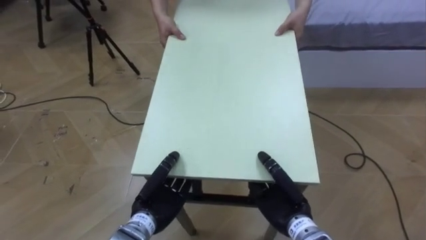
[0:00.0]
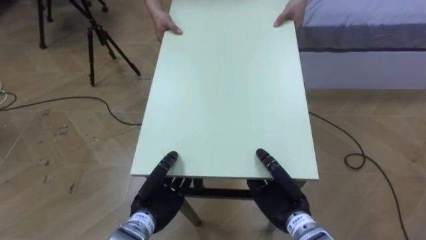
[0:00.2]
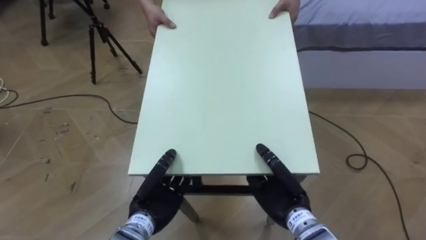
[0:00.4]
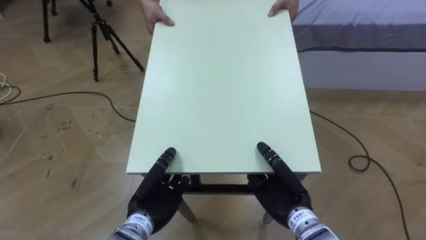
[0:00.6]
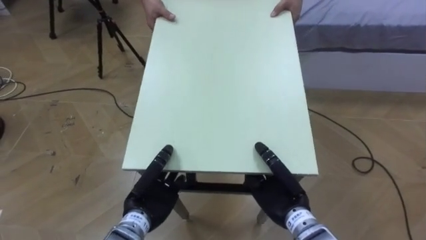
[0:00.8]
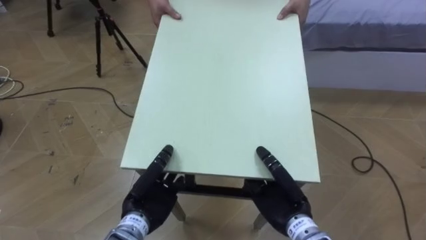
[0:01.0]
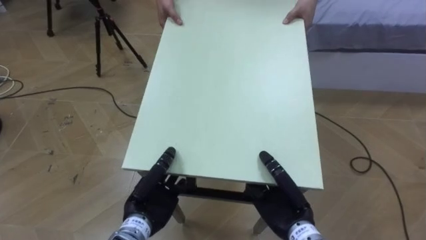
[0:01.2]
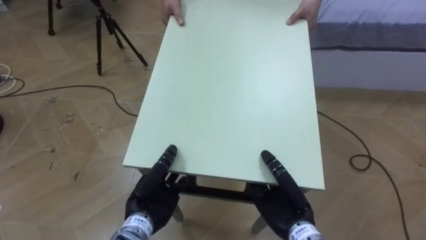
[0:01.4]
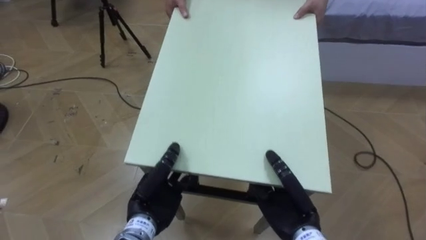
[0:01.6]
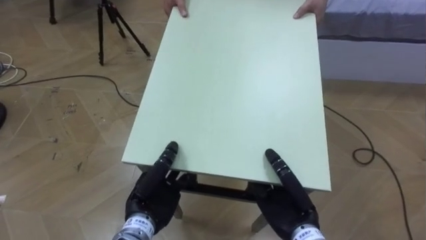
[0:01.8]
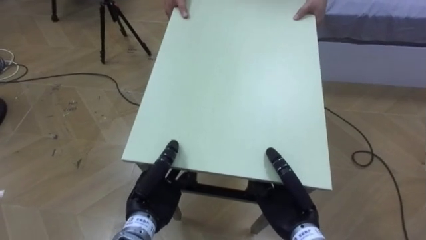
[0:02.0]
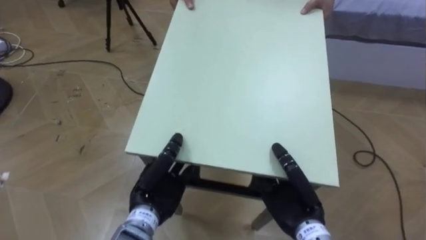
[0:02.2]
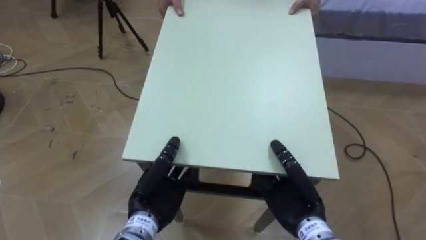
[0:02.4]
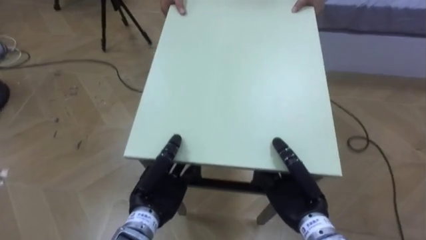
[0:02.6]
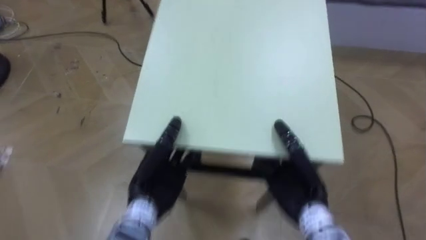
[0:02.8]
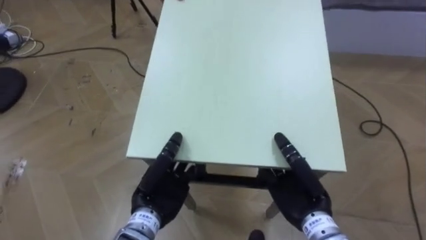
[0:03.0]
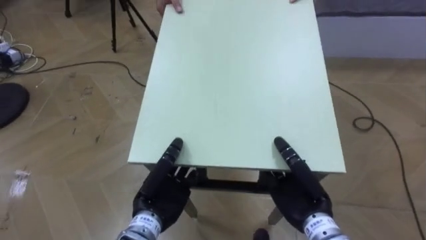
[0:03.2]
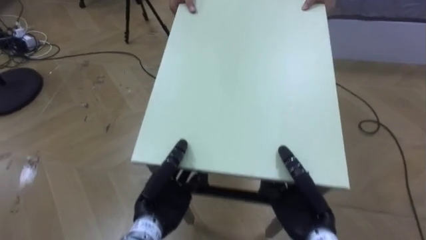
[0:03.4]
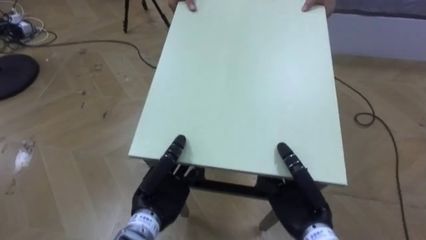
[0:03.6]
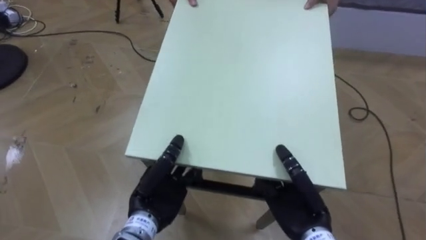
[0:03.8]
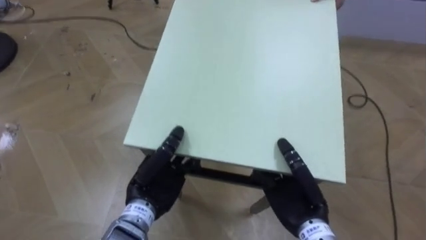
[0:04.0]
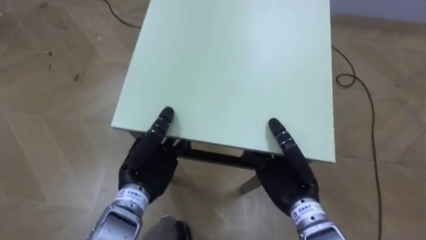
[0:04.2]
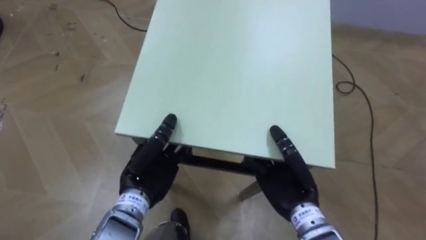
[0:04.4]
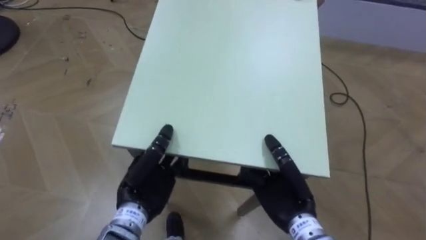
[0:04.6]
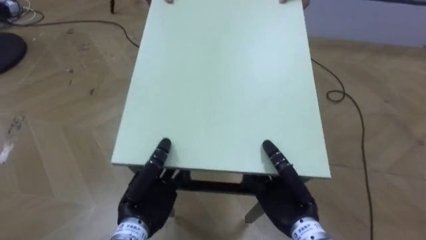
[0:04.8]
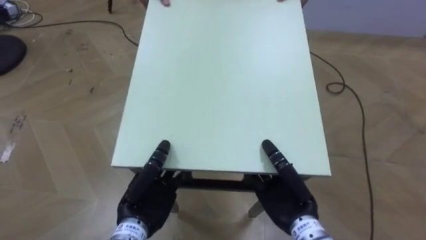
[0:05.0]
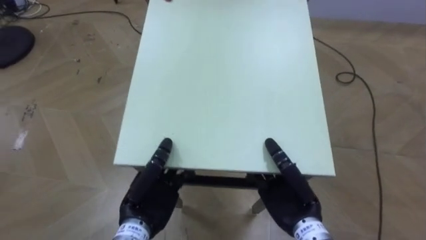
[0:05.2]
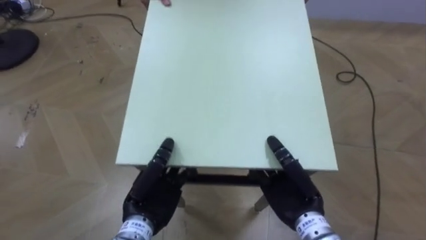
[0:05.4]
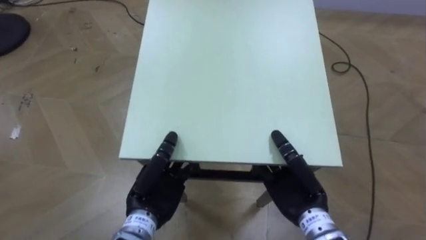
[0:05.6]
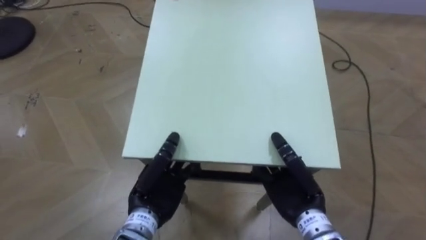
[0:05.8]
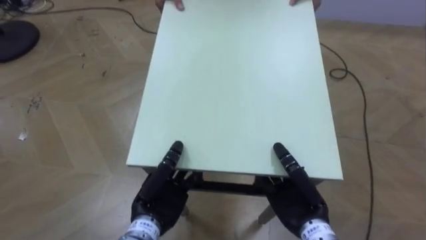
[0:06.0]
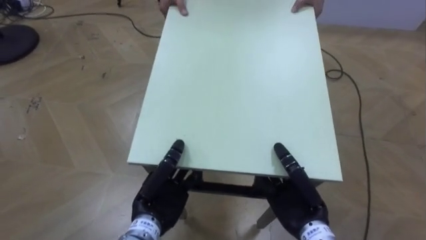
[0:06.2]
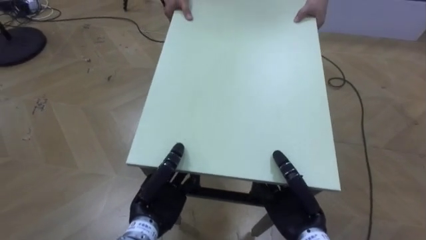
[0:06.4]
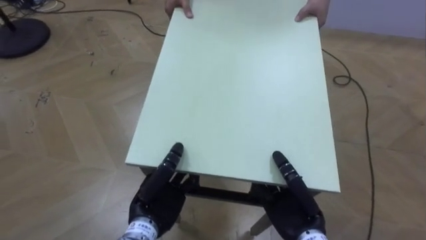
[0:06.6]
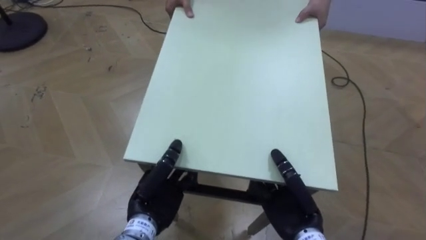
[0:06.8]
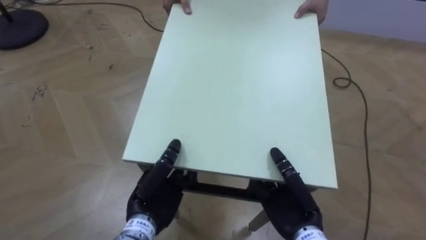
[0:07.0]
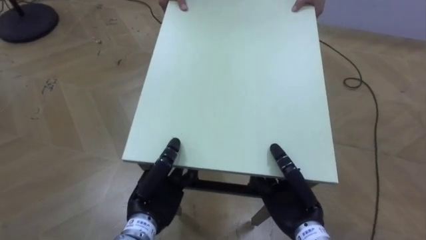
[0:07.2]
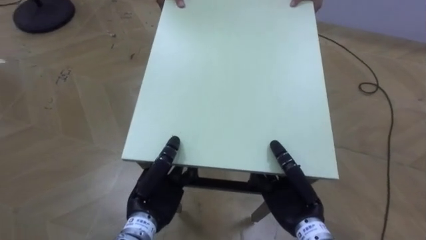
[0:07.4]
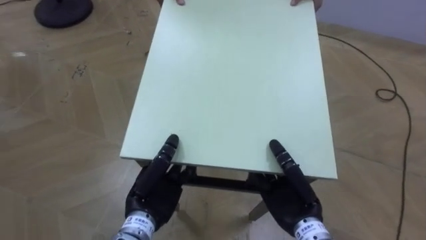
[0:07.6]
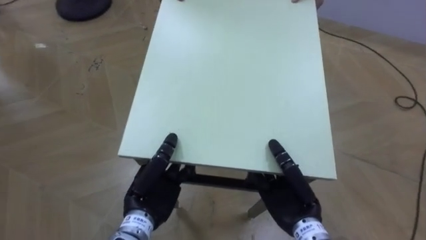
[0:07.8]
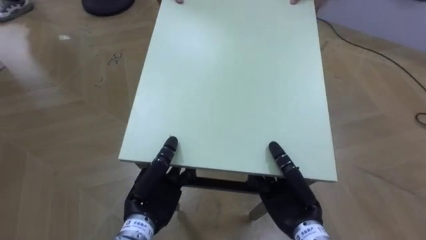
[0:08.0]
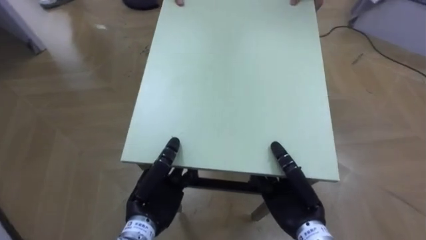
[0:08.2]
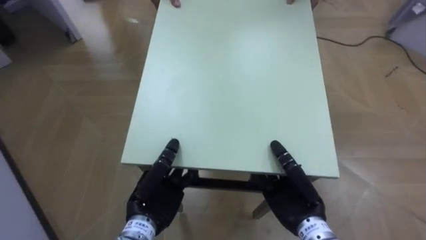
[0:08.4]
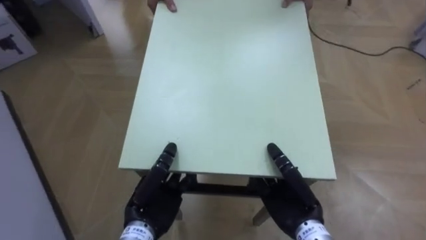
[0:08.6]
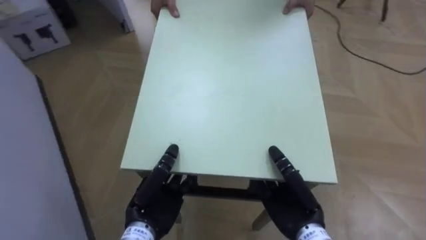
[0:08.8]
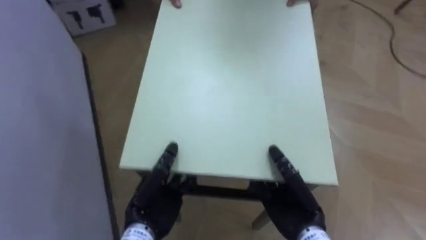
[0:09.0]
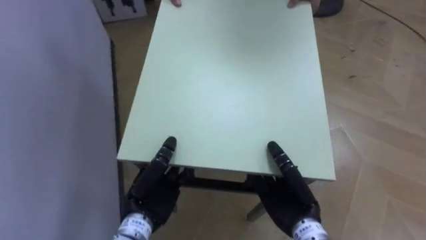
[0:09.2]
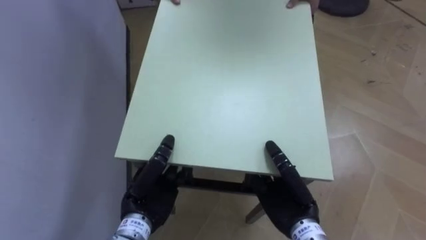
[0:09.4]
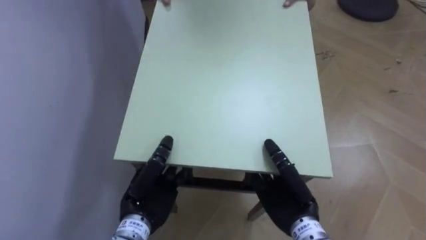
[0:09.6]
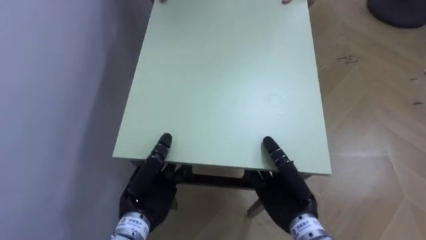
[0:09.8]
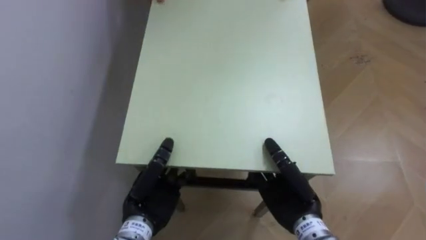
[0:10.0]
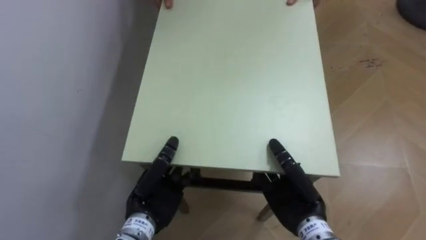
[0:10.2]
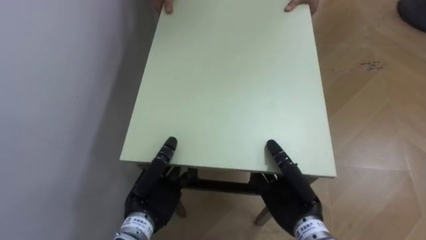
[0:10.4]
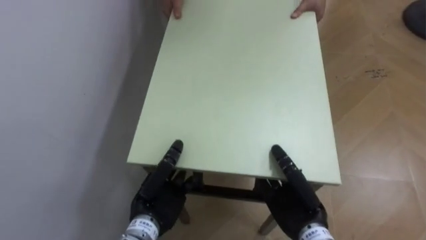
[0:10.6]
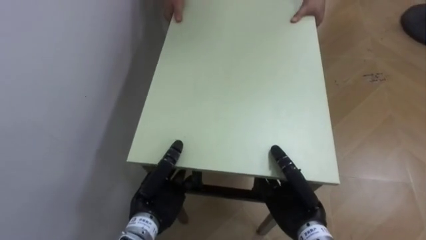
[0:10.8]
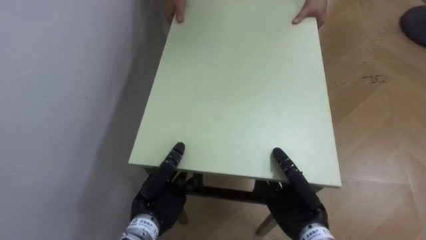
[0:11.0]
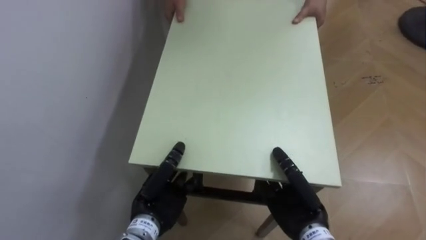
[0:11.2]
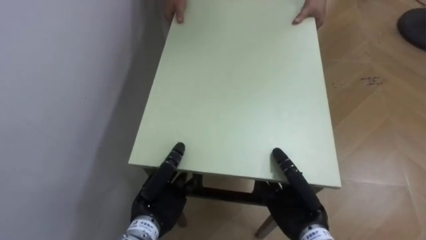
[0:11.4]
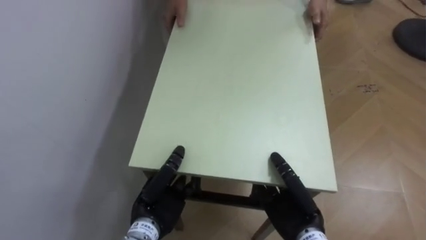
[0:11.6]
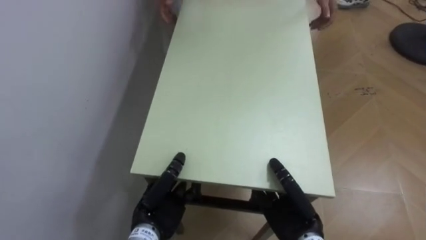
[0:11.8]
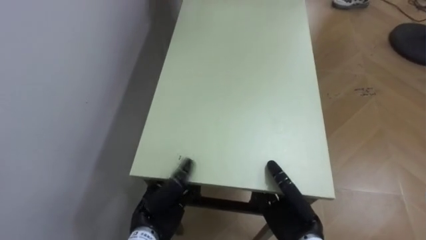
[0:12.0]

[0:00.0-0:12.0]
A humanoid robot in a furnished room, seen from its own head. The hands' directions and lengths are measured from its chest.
Task of the whole recording: Move the table to the back left with someone.
4.4 to 6.0 s: The left hand shifts by approximately 5 cm.
7.6 to 9.0 s: The robot's body swings about 50 degrees to its left.
9.0 to 10.4 s: The robot turns to its left by about 25 degrees.

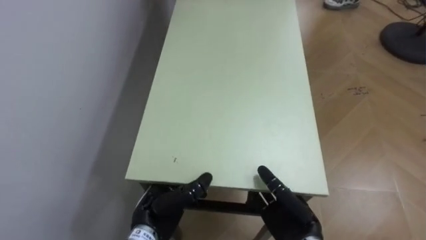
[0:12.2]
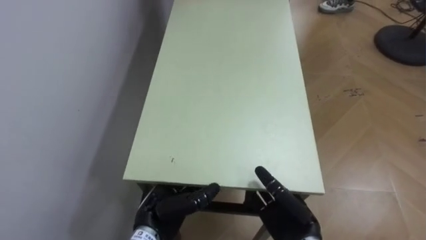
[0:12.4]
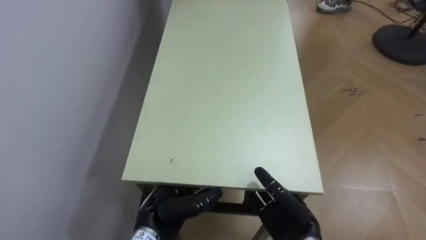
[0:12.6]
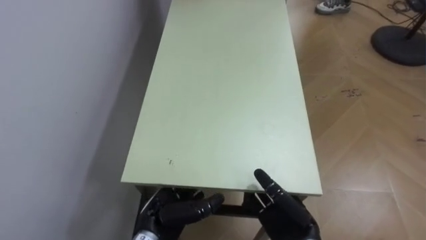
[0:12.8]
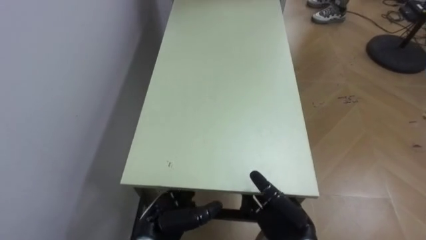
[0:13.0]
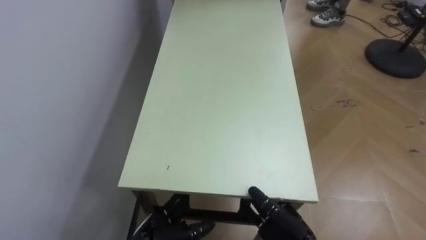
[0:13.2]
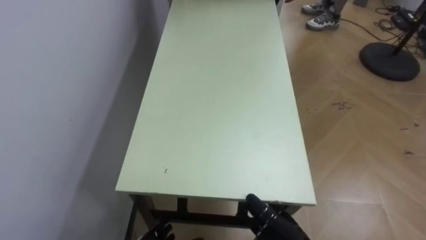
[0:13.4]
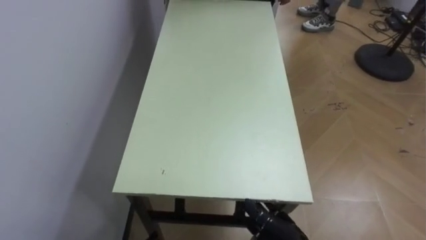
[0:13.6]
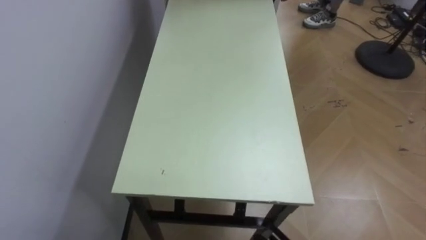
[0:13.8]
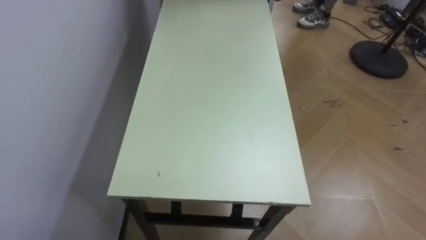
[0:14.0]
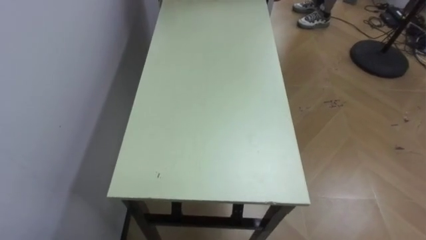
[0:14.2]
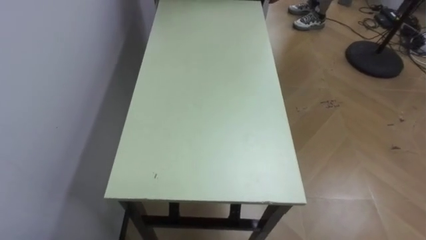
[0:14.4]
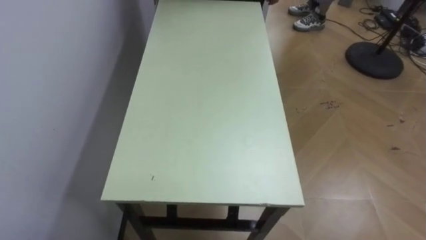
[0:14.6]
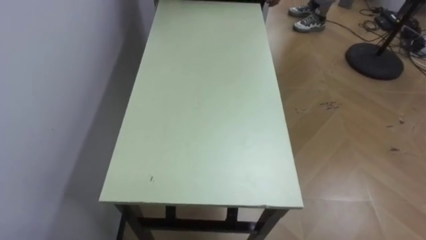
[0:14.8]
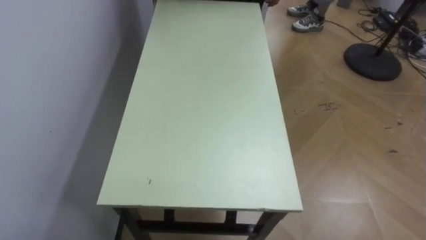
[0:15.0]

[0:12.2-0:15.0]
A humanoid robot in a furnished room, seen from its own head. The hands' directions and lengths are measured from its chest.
Task of the whole recording: Move the table to the back left with someone.
12.2 to 13.6 s: The right hand heads downward, covering roughly 5 cm, and opens.

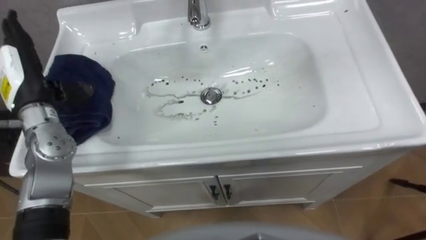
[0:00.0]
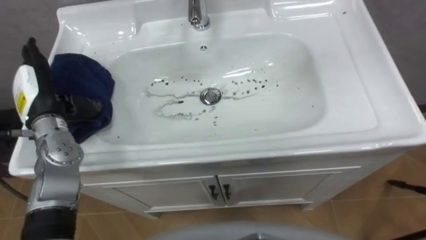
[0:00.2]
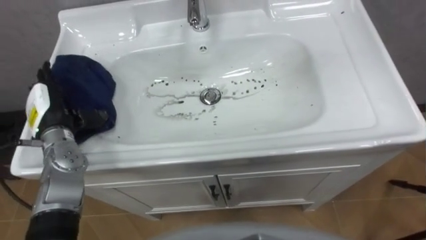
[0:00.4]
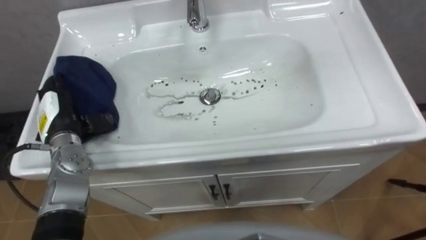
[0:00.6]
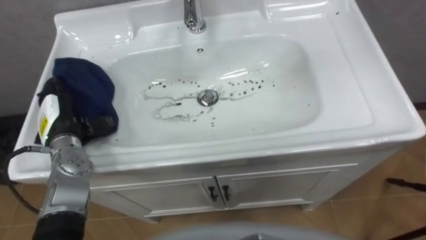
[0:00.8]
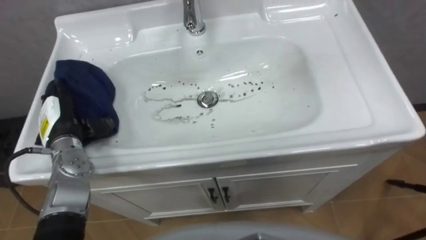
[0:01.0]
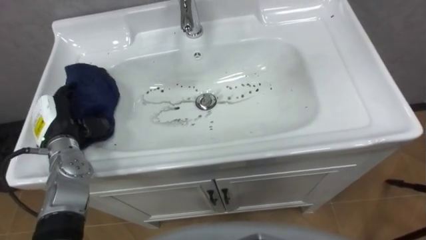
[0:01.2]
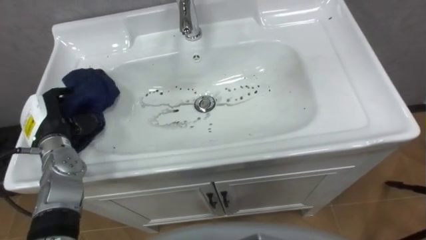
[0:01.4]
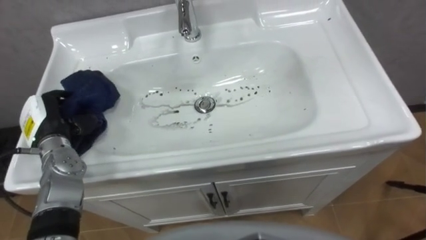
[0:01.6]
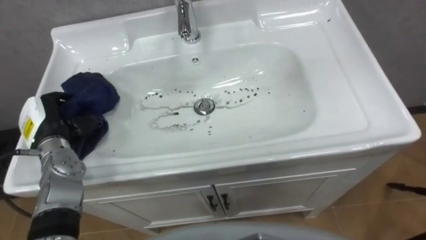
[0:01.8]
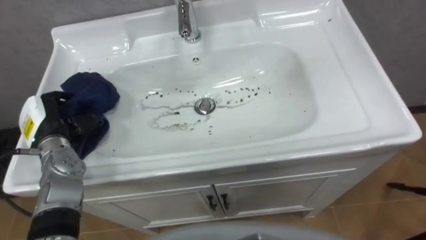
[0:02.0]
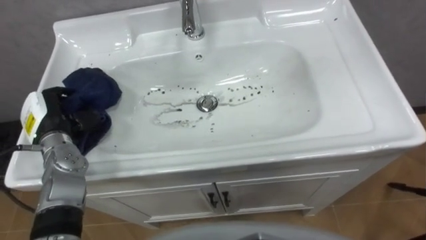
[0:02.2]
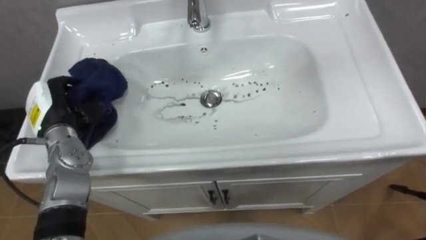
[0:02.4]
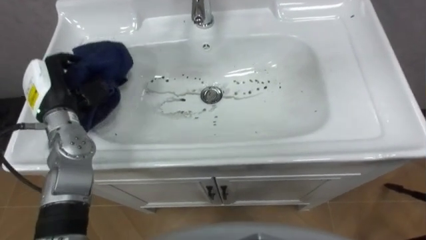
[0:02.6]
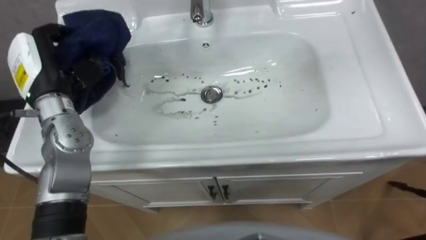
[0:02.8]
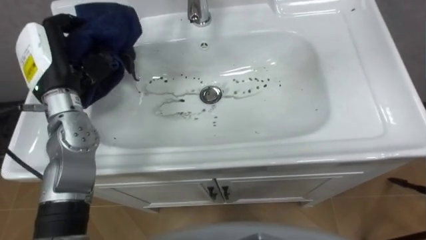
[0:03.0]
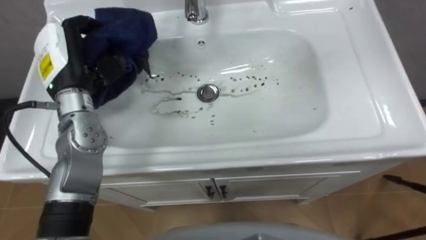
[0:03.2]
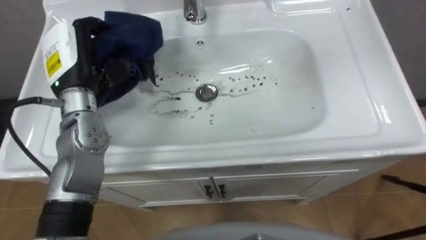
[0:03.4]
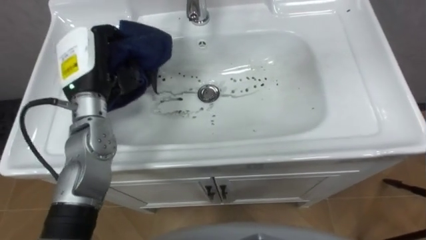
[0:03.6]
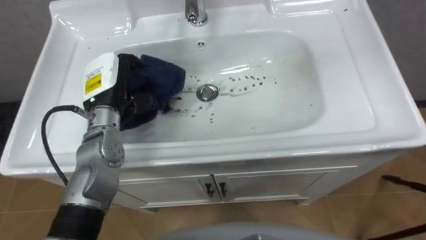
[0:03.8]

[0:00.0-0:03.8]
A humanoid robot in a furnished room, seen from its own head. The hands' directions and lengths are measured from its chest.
Task of the whole recording: Use the cloth on the right to wipe away the black stain in the sink.
0.0 to 1.2 s: The left hand heads downward, covering some 10 cm.
1.2 to 2.6 s: The left hand heads upward, covering roughly 5 cm, and closes its fingers.
2.6 to 3.8 s: The left hand goes some 10 cm to the right.
